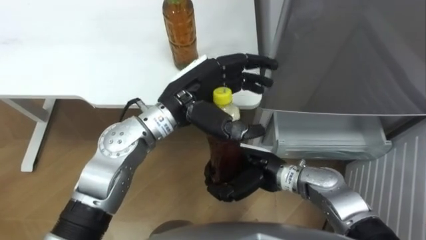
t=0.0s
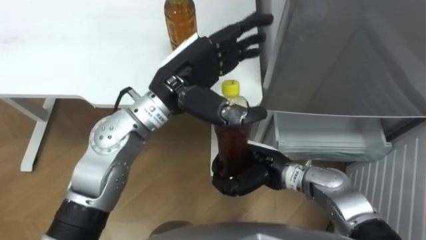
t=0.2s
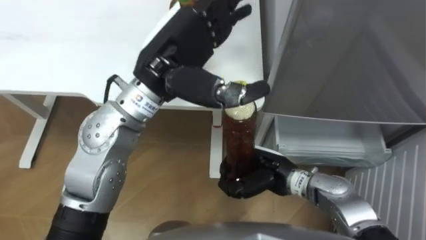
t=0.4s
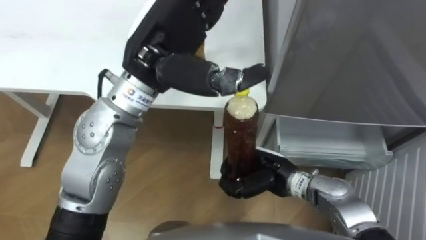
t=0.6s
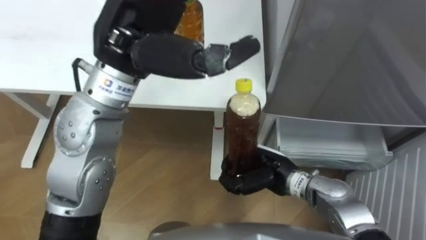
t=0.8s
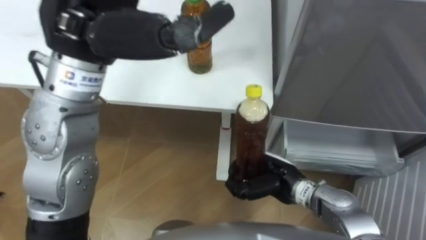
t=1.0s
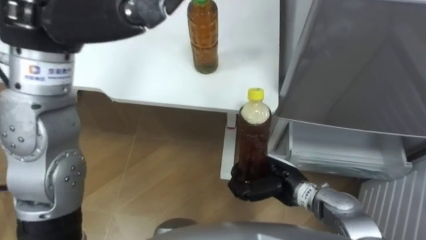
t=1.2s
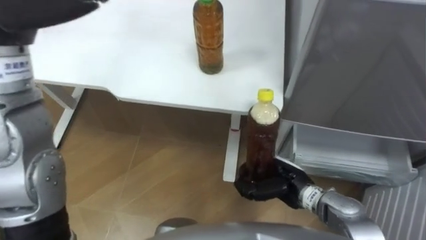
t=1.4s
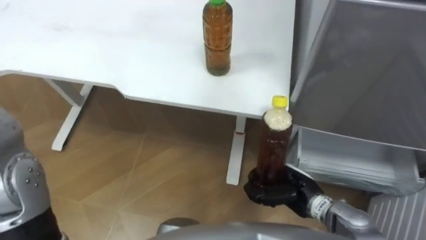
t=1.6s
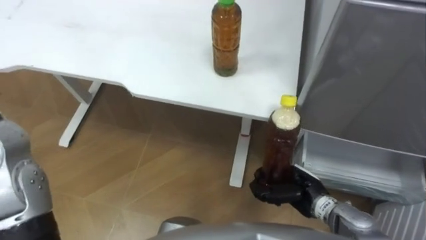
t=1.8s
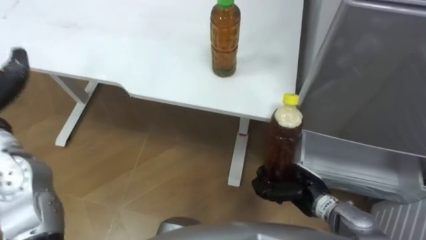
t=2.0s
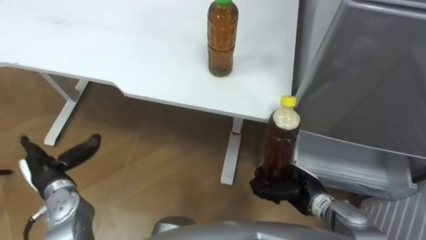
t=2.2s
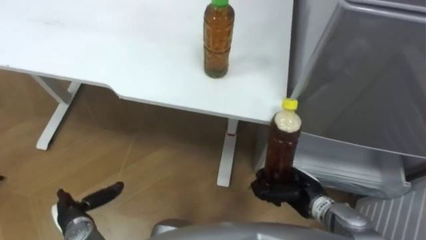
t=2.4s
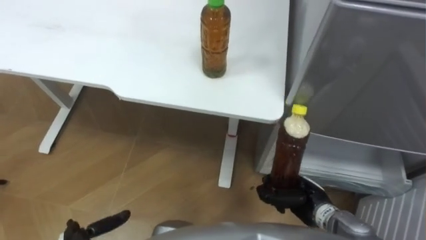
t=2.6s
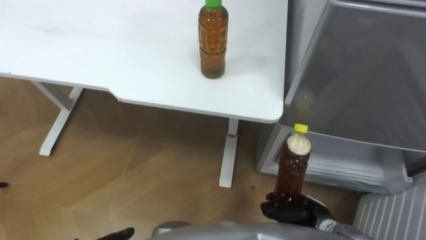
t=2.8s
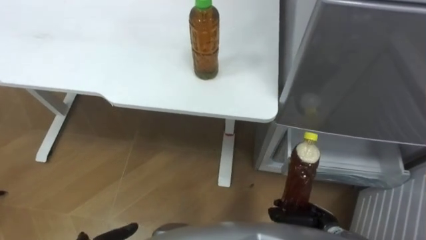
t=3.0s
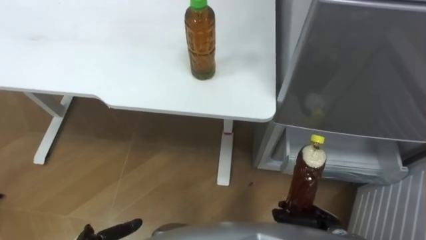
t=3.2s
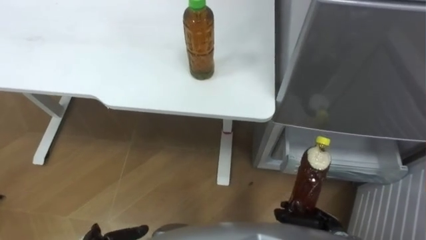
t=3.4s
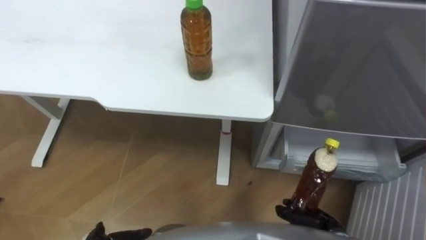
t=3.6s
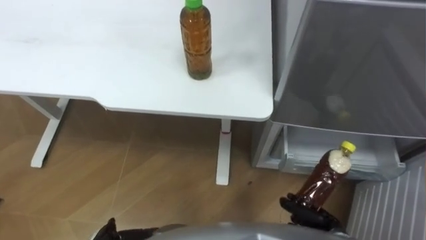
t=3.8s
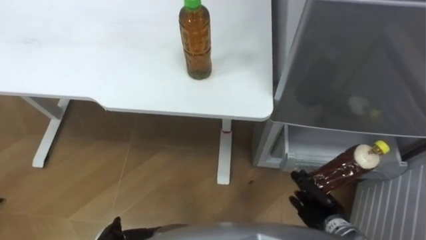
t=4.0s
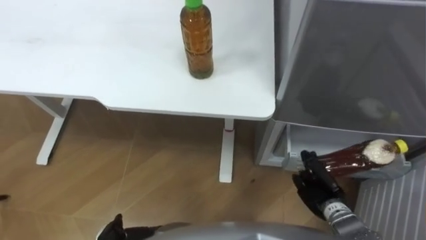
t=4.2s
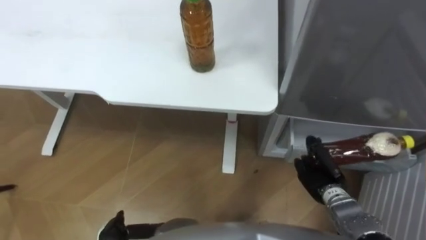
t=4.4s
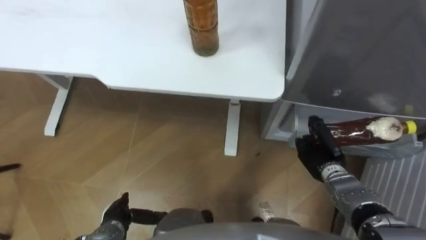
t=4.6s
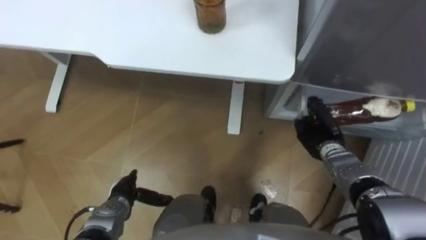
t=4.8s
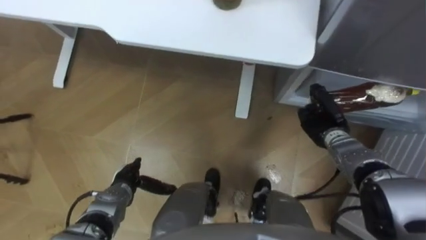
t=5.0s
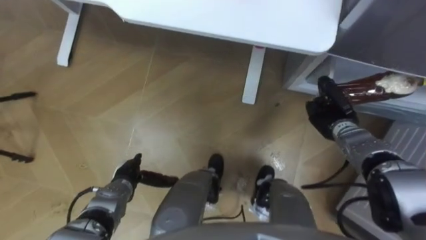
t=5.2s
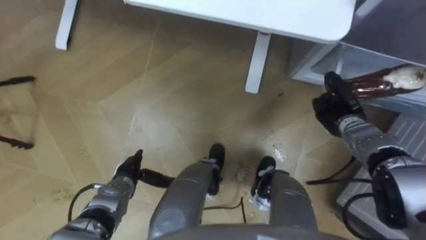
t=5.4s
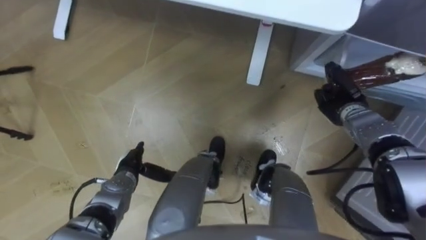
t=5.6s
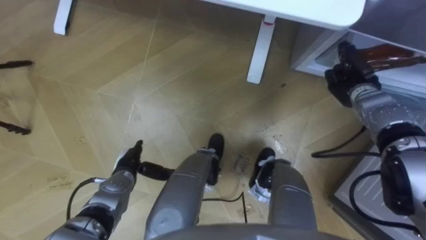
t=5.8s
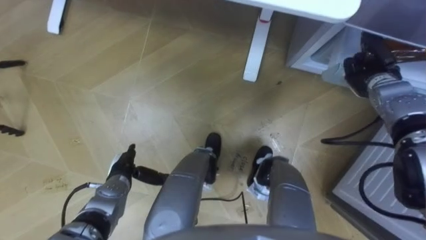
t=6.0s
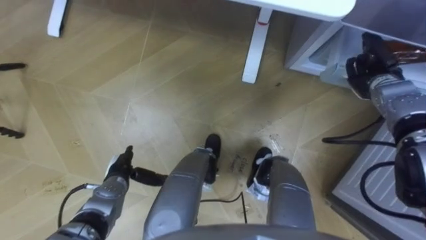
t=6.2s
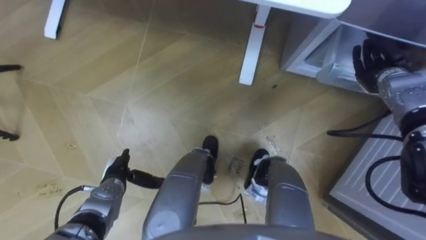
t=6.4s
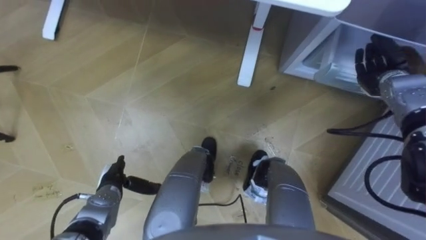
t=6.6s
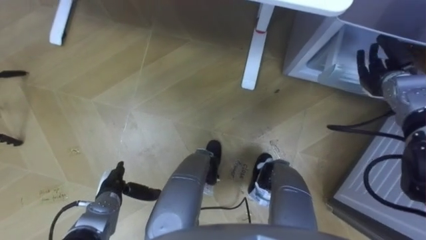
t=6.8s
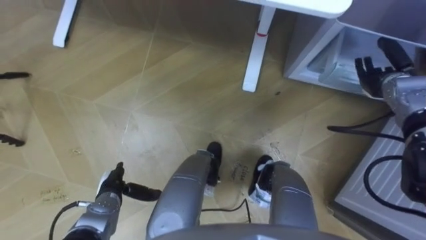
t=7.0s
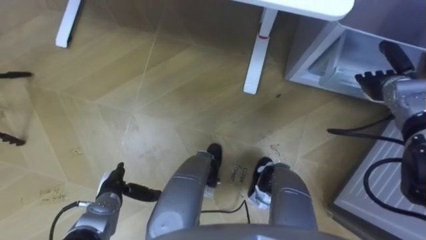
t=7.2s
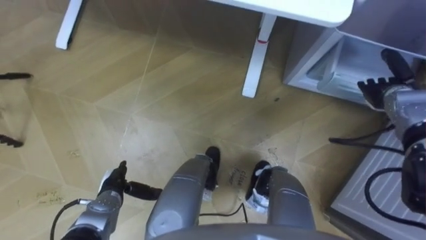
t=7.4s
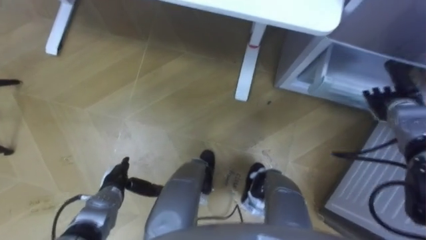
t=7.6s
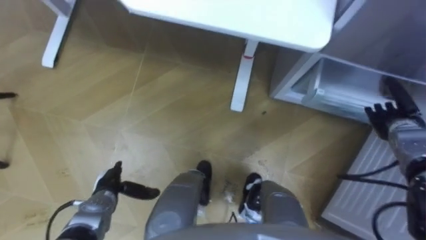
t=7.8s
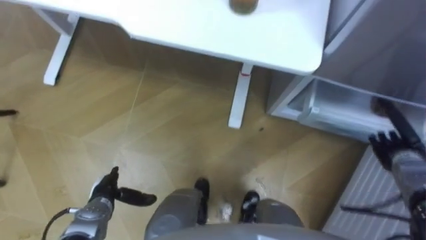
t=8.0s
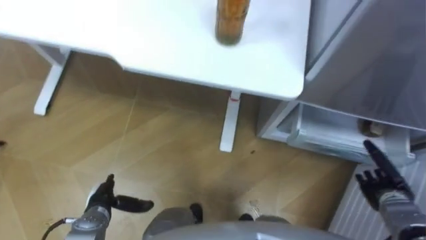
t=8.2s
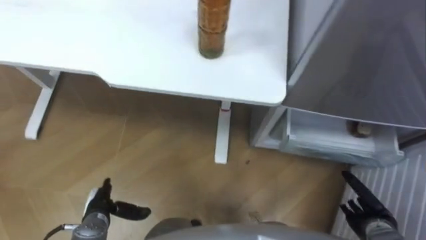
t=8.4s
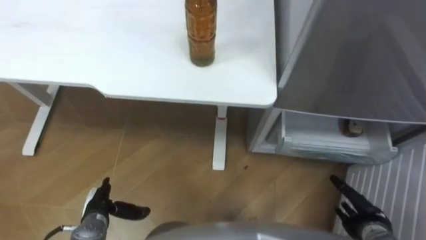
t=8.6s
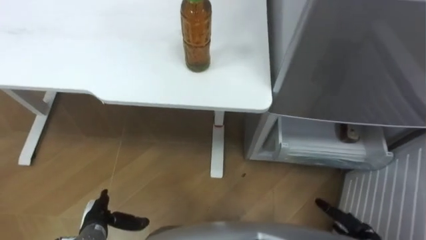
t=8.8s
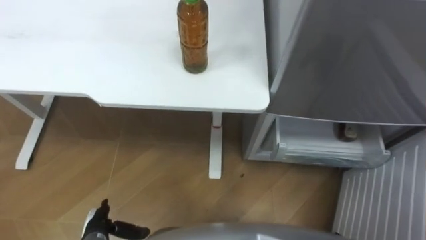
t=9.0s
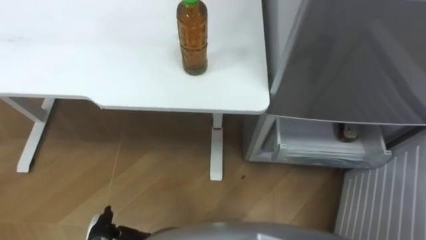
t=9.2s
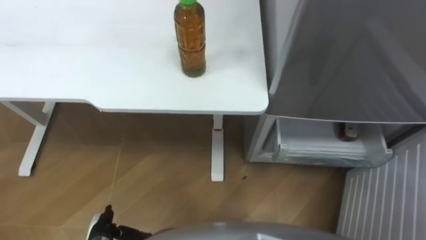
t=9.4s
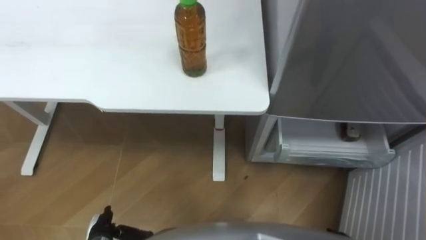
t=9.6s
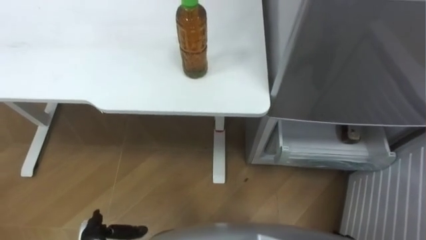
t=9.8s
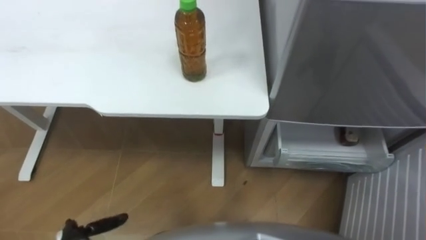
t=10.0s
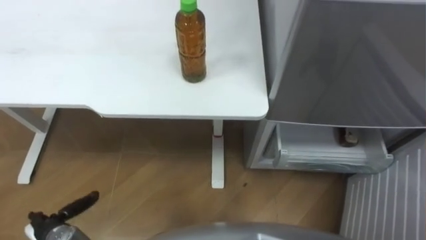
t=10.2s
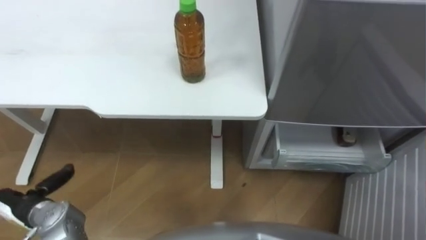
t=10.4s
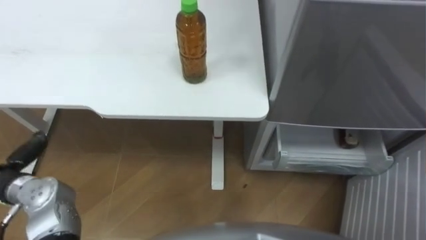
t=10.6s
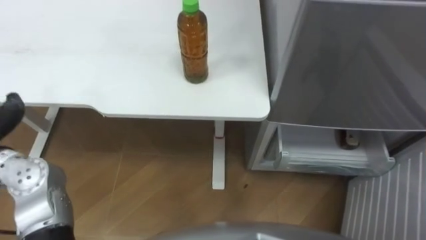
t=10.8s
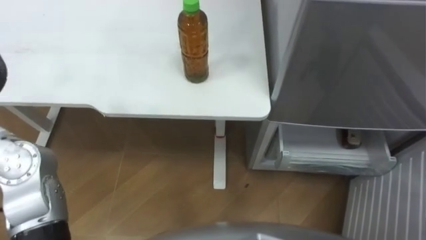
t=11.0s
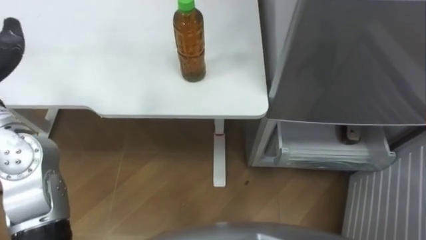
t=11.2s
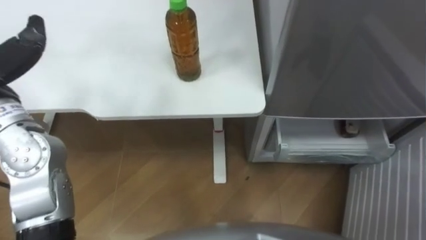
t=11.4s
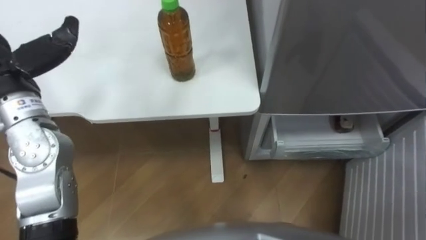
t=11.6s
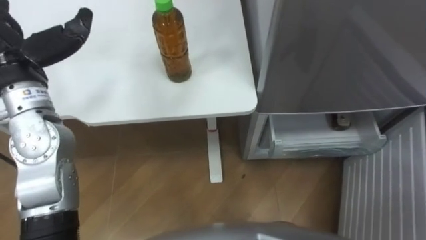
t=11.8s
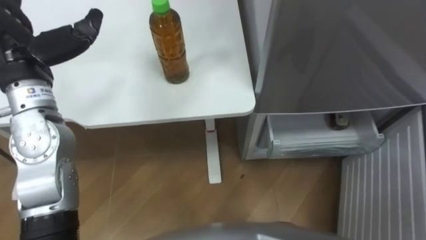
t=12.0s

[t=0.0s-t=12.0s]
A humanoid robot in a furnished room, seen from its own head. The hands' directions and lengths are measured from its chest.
Task of the whole recording: Place the drink on the table on the bottom shelf of the refrigerator, then close the drawer and the refrigerator door.
t=0.0s to t=1.6s: The right hand travels to the right and downward by some 10 cm.
t=1.6s to t=3.0s: The right hand shifts approximately 10 cm backward and downward.
t=3.0s to t=4.4s: The right hand heads forward, covering approximately 10 cm.
t=4.4s to t=6.0s: The right hand moves forward, upward and to the right, some 25 cm, while the left hand travels forward by some 15 cm.
t=6.0s to t=7.6s: The right hand moves some 5 cm, and opens its fingers.
t=7.6s to t=9.0s: The left hand shifts roughly 10 cm backward.

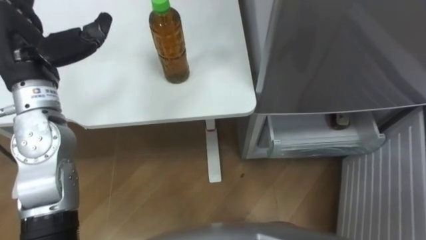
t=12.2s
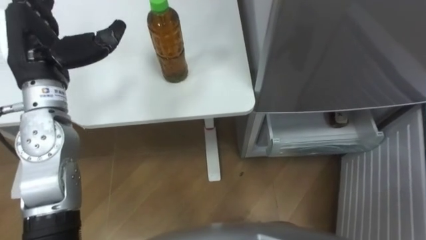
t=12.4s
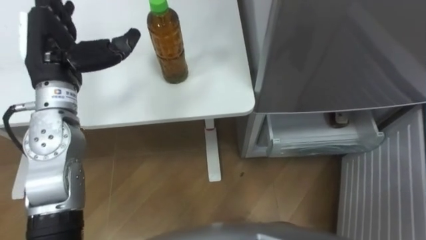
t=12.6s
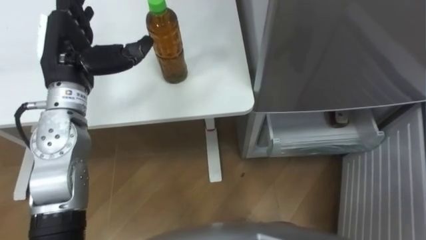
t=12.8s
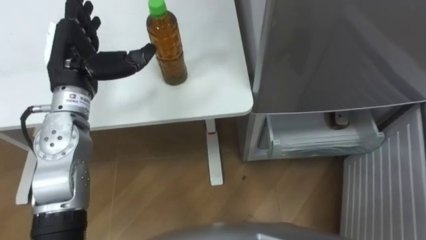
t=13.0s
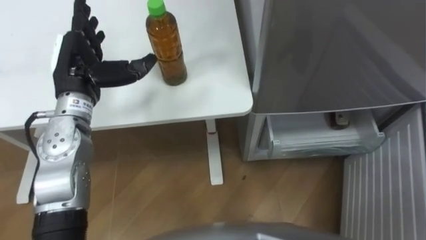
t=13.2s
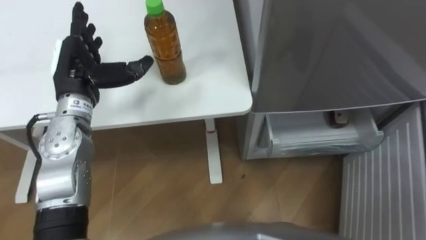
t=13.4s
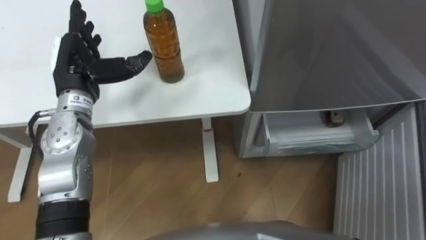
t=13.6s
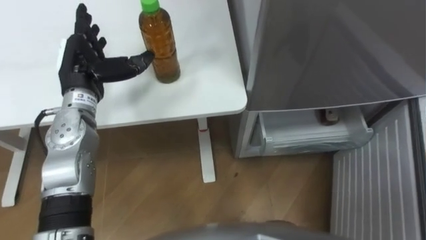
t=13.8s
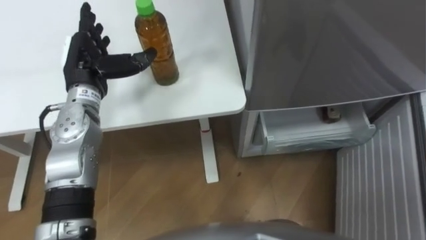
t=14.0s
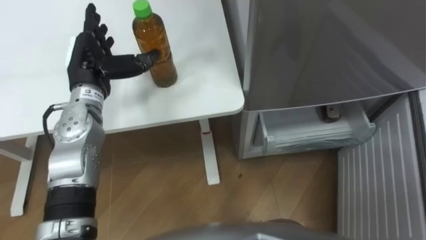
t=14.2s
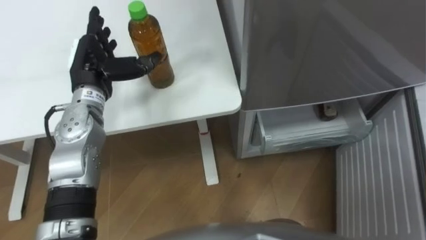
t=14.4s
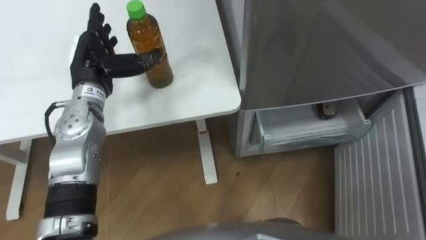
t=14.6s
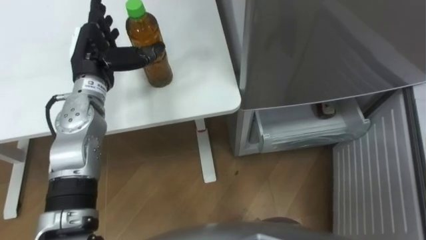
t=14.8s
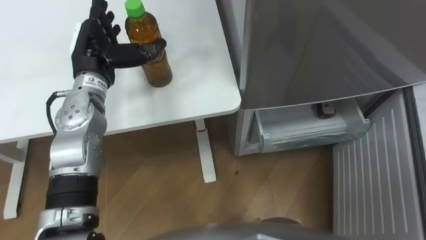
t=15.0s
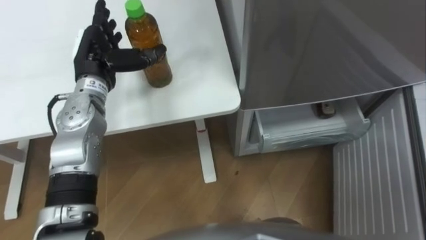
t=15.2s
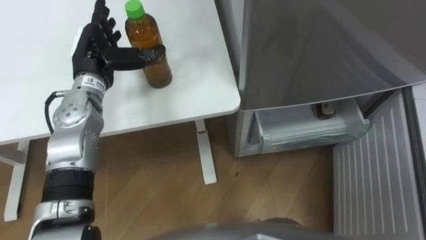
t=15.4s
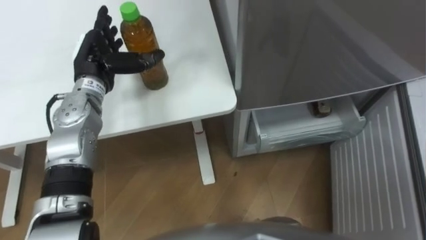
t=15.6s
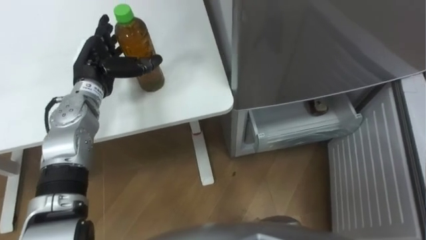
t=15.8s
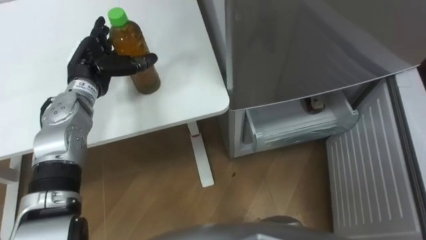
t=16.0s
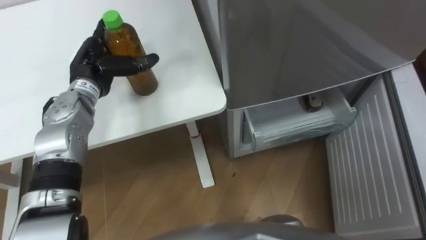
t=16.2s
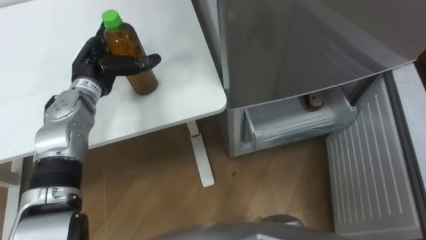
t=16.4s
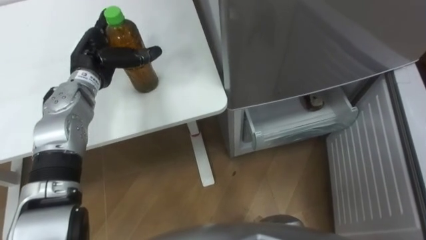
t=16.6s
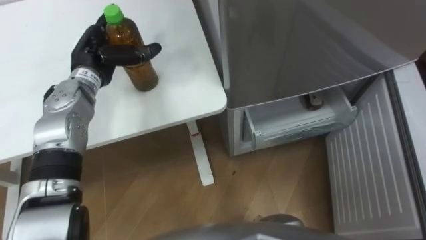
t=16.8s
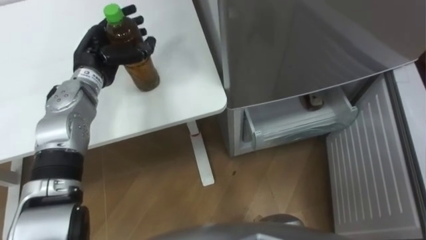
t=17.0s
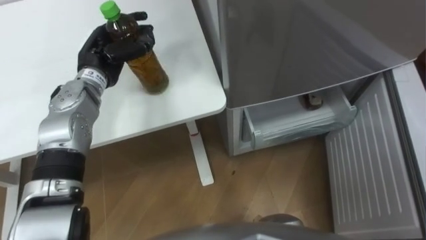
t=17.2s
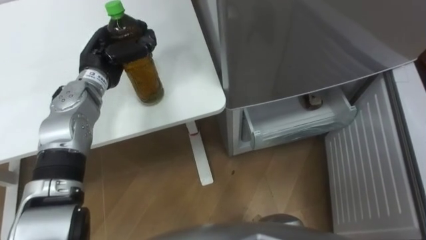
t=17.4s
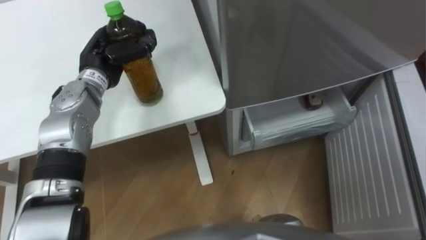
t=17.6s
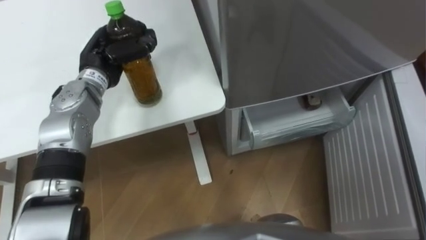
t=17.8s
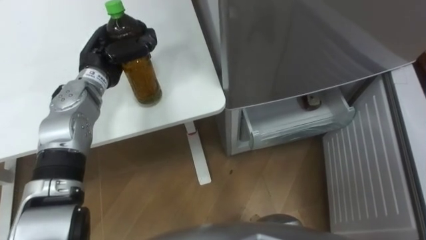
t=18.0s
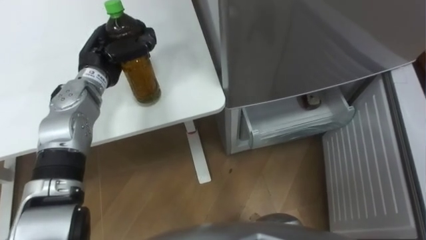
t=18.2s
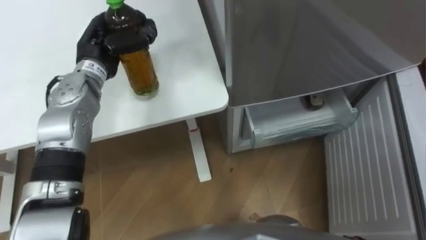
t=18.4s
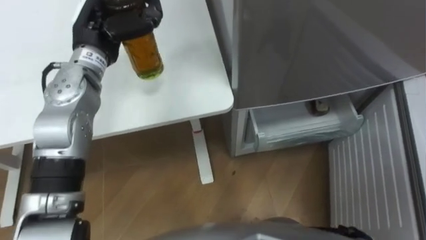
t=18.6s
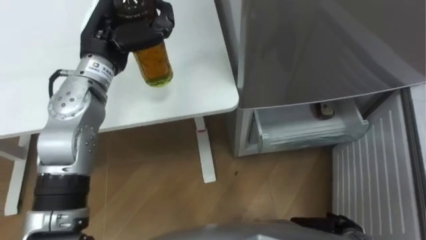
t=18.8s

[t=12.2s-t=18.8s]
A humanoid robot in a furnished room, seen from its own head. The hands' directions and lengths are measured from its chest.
Task of the whole recording: Place the drink on the table on the bottom shelf of the refrigerator, then close the drawer and the refrigerator door.
t=12.2s to t=13.8s: The left hand shifts about 10 cm downward.
t=15.4s to t=17.2s: The left hand closes.
t=17.2s to t=18.8s: The left hand is displaced upward by roughly 10 cm.
